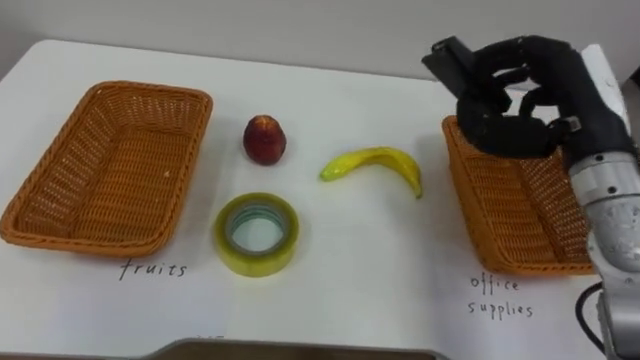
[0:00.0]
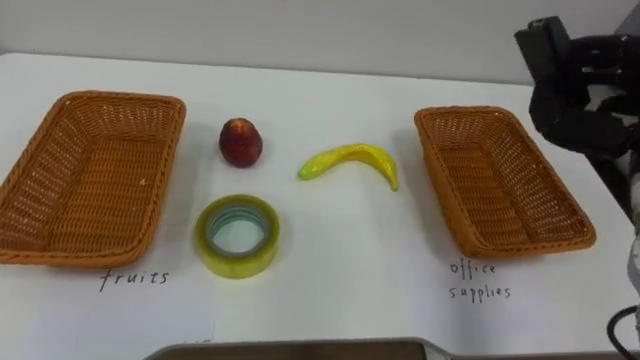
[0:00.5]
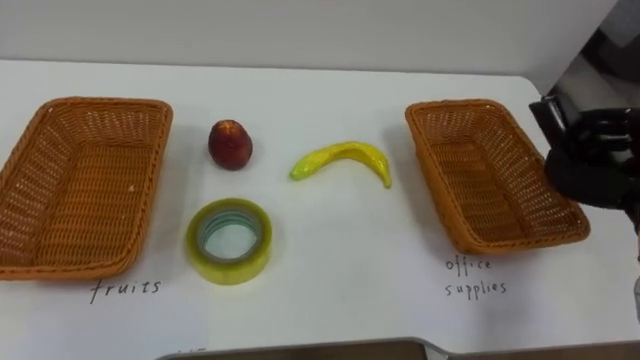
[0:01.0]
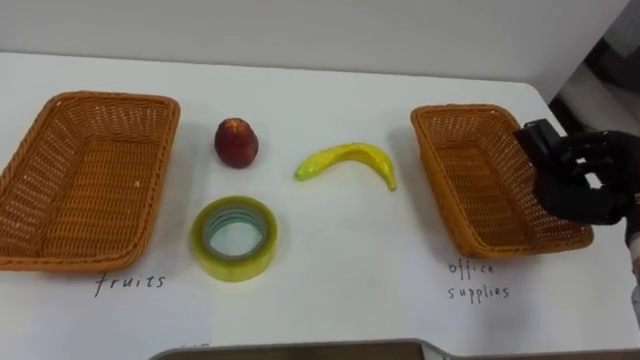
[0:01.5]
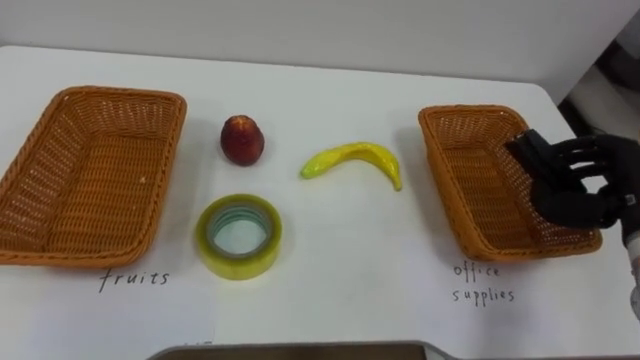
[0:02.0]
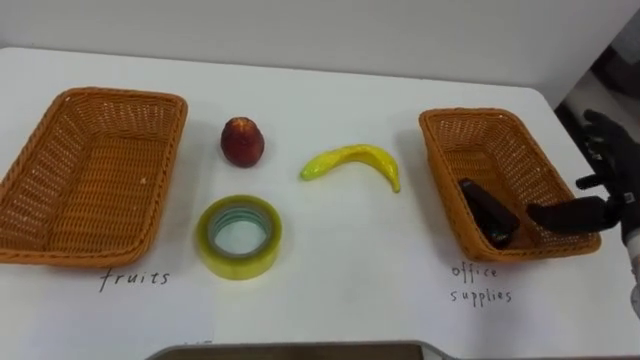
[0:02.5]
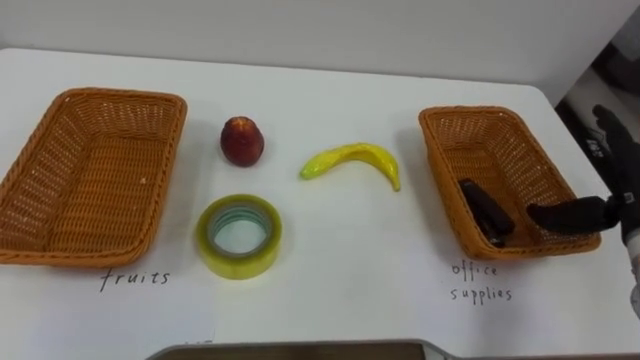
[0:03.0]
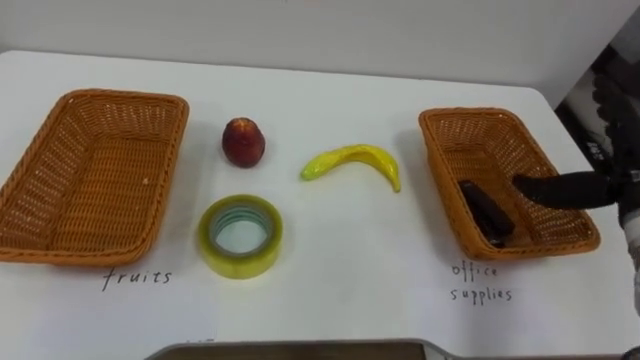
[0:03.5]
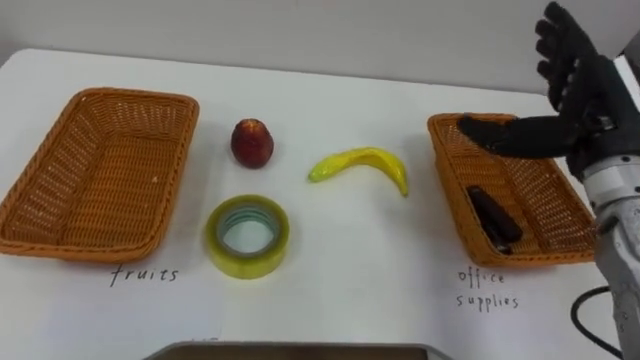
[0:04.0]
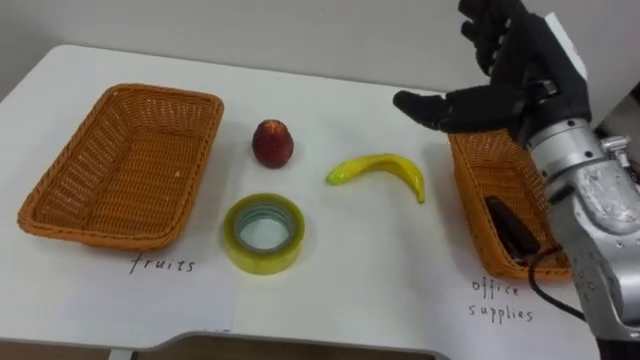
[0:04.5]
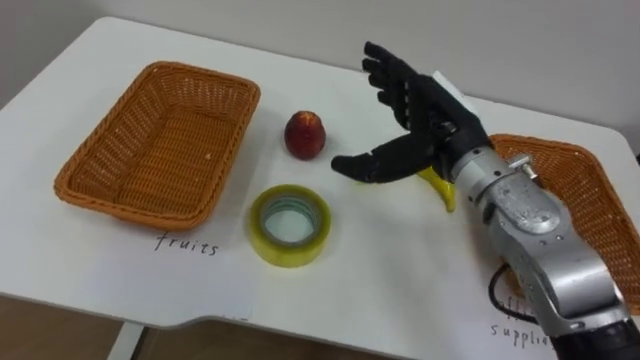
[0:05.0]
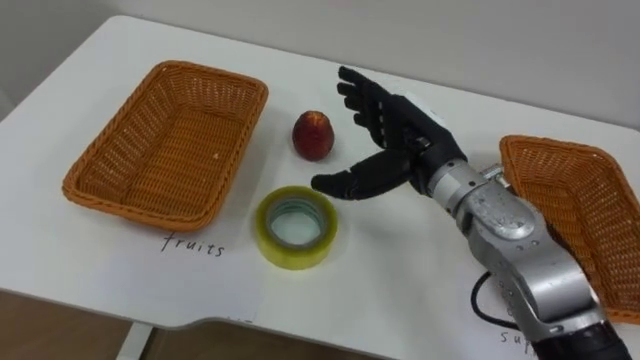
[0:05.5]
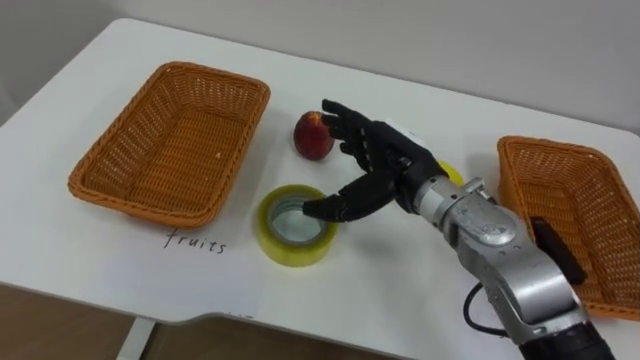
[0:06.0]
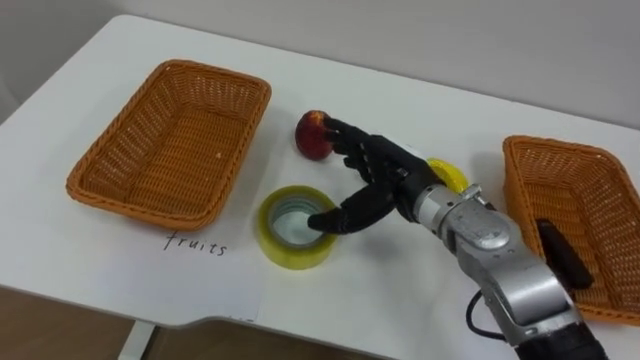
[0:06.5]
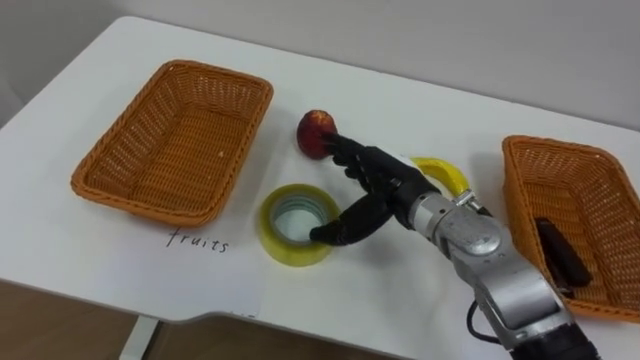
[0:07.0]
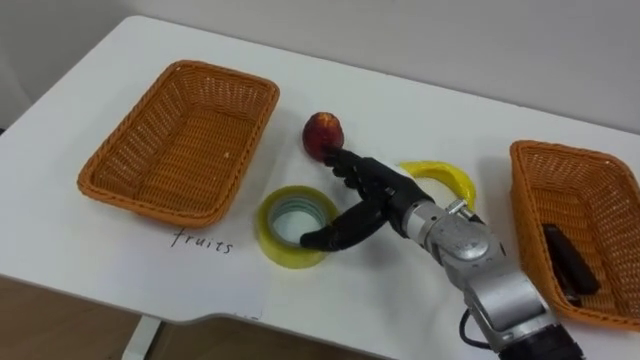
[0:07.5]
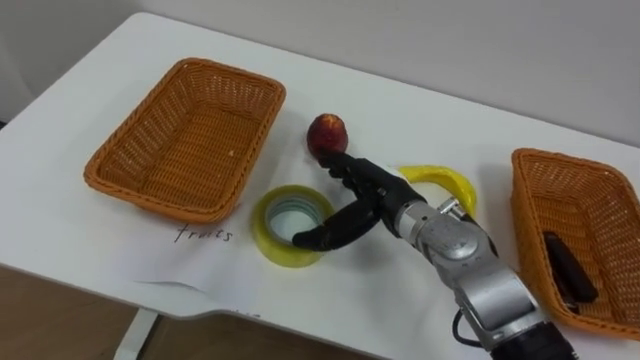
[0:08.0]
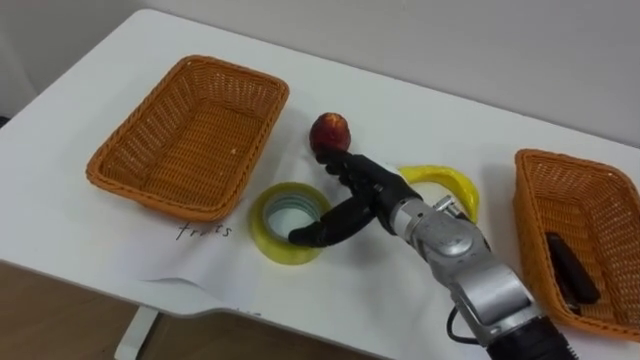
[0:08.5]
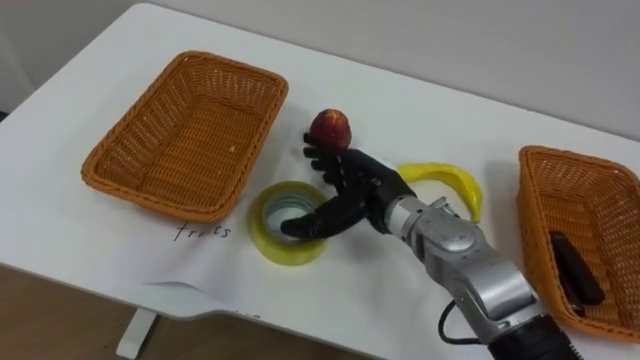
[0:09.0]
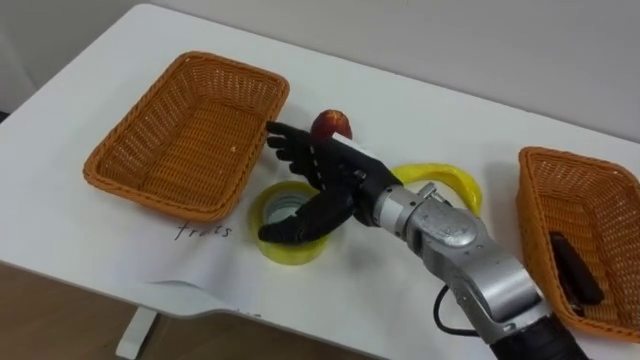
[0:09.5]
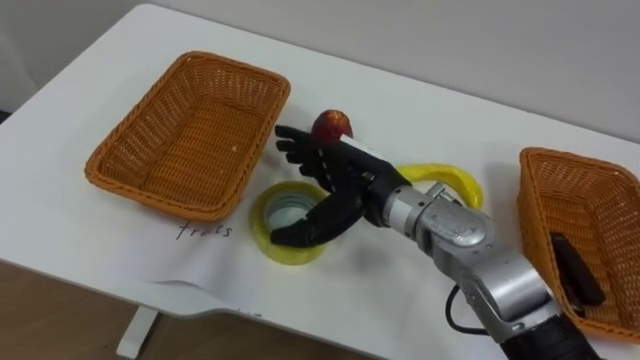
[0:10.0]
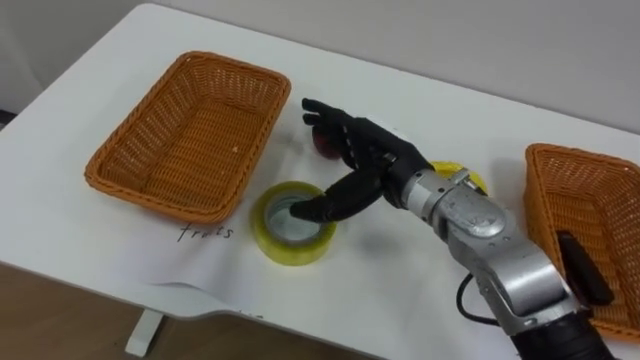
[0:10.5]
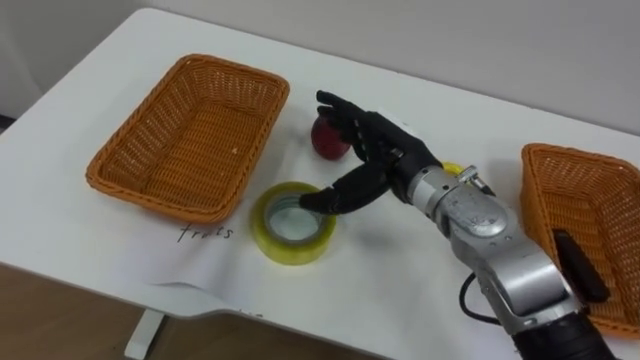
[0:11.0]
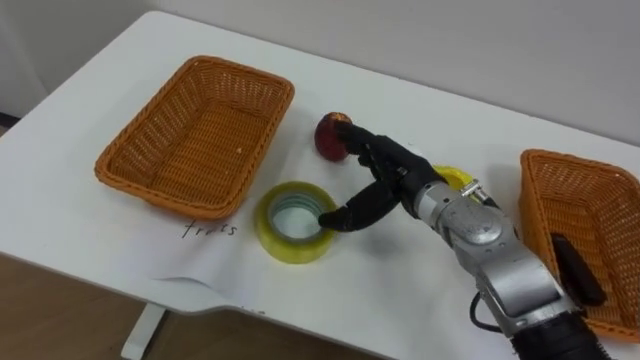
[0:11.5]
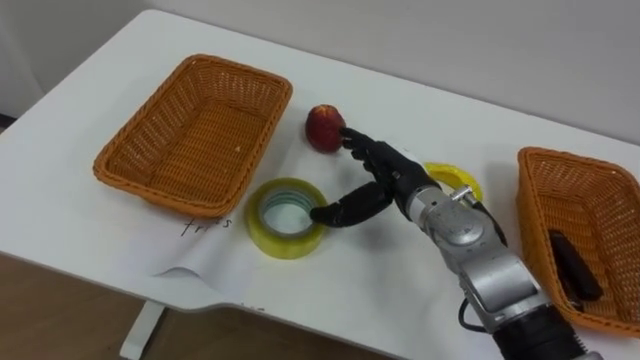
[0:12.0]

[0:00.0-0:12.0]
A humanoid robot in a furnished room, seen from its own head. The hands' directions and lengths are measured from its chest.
Task of the whole recording: Separate the items on the table and place them into the two baskets.
2.0 to 4.0 s: The right hand travels upward and to the left by roughly 10 cm, and opens its fingers.
4.0 to 6.0 s: The right hand heads to the left, covering roughly 20 cm.
6.0 to 8.0 s: The right hand shifts approximately 5 cm downward.
8.0 to 10.0 s: The right hand ends up approximately 5 cm from where it was.
10.0 to 12.0 s: The right hand is displaced to the right by about 5 cm.

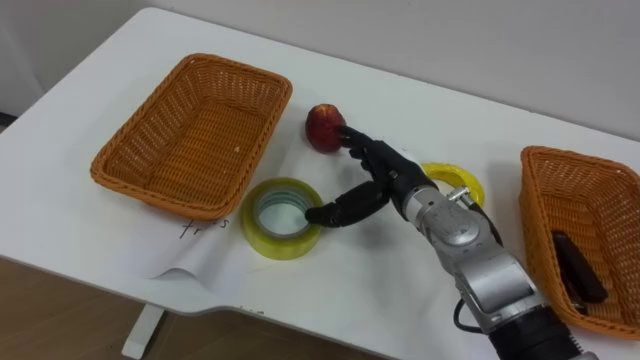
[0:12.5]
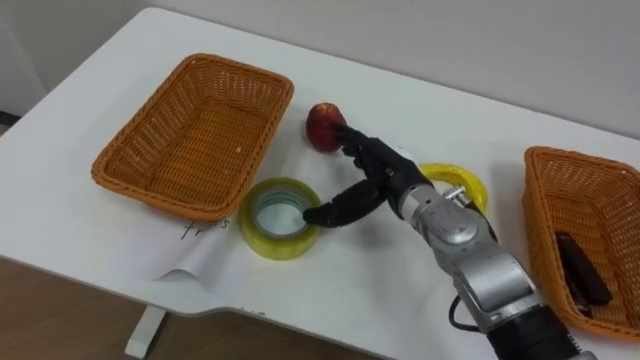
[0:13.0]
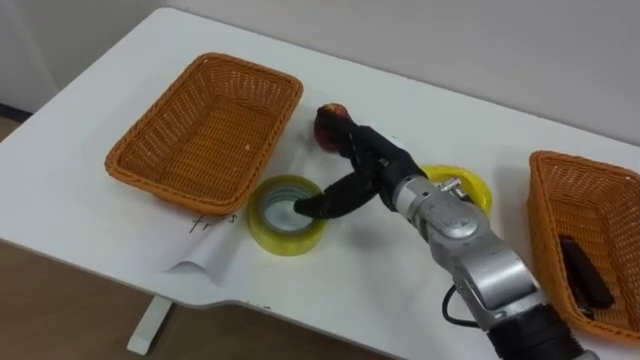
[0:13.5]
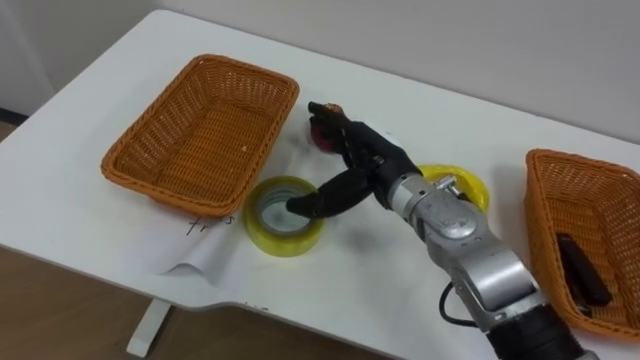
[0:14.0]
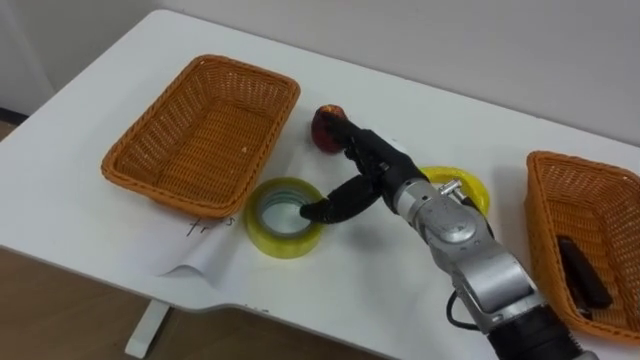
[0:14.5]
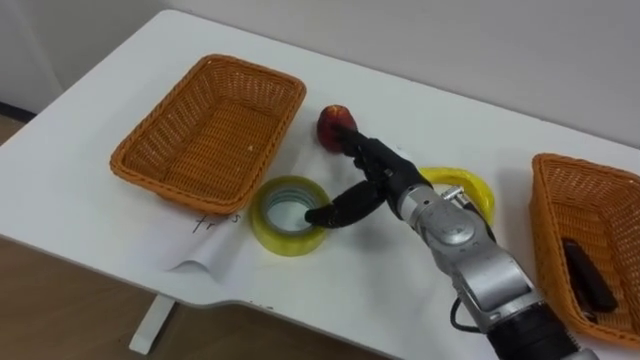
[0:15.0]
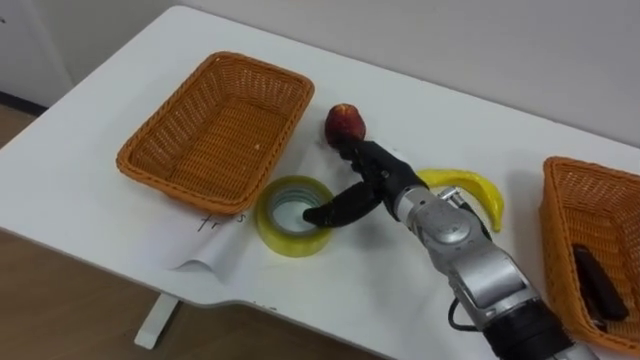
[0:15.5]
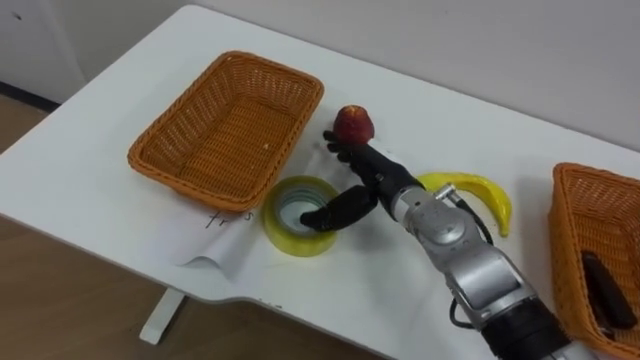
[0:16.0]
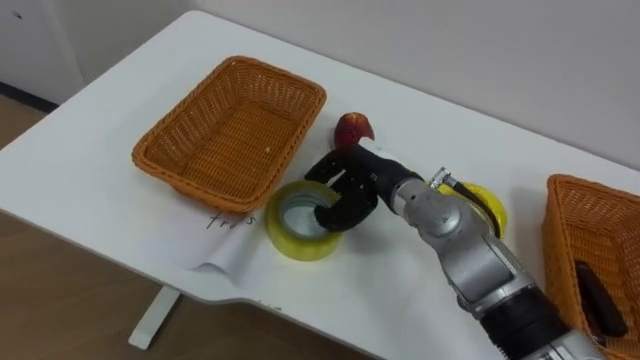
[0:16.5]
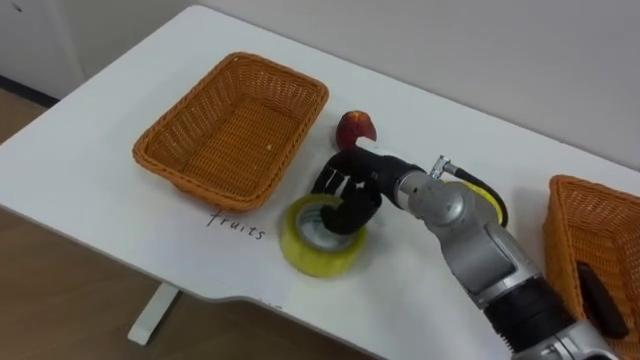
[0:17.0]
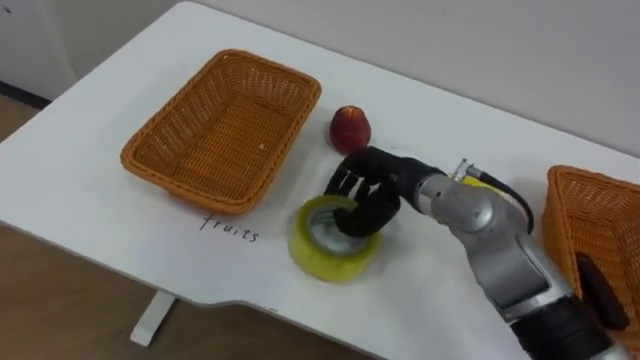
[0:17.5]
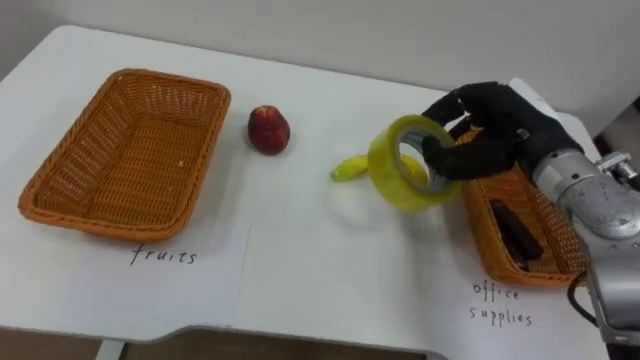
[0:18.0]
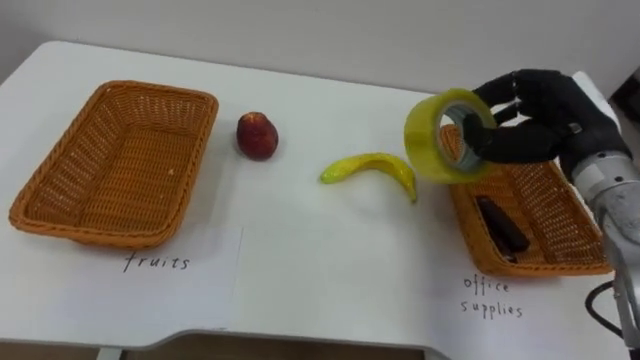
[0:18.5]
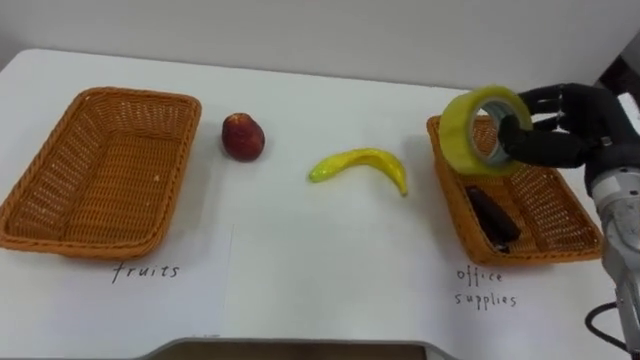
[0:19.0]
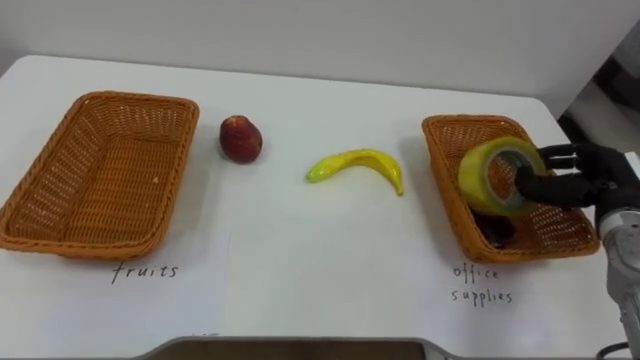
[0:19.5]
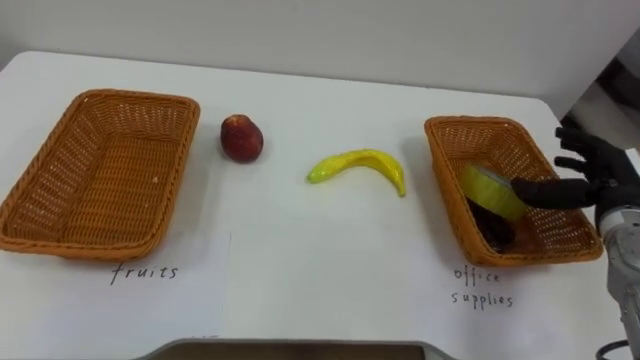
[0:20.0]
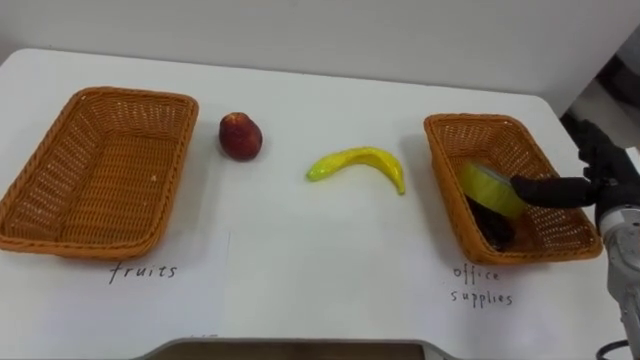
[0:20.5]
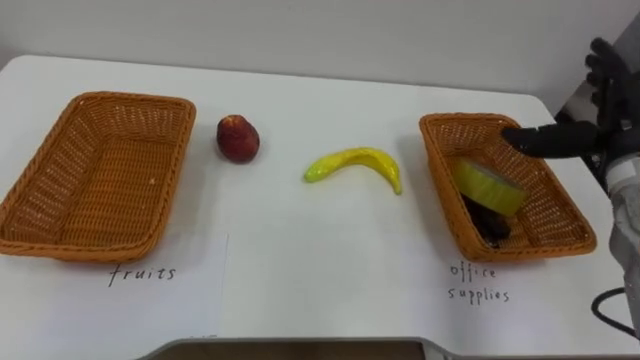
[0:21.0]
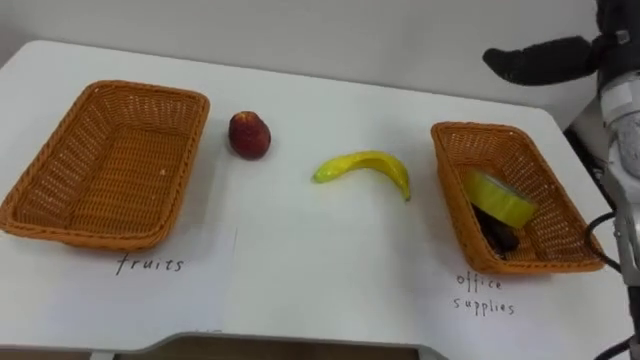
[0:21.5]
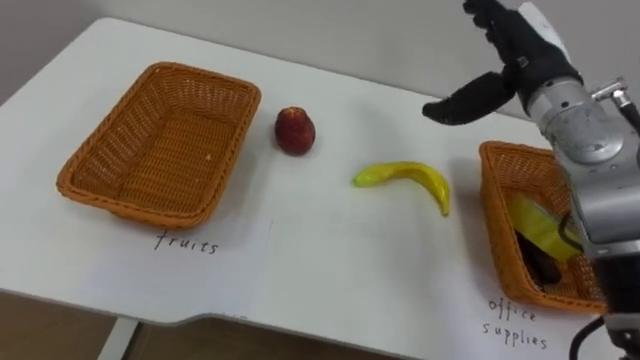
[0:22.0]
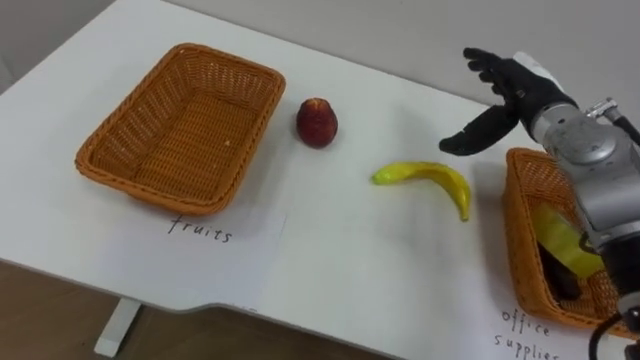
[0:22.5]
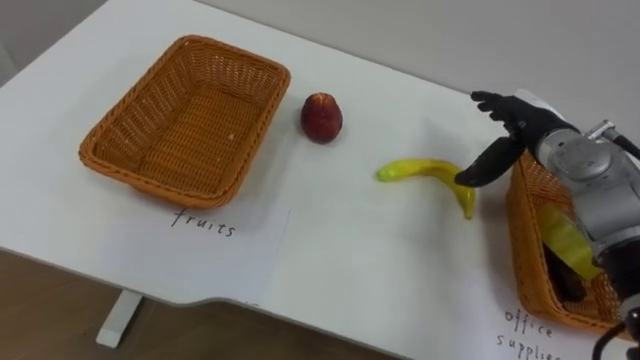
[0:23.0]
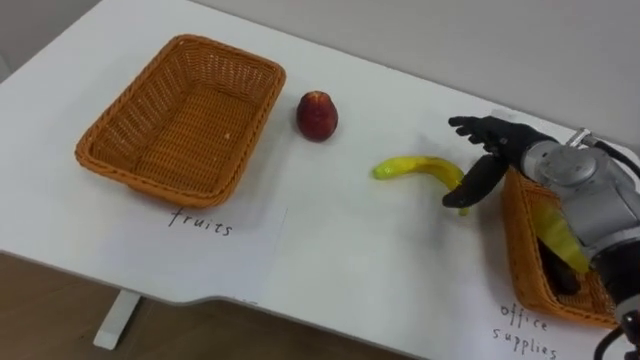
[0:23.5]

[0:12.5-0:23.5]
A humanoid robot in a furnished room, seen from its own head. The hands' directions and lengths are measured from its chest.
Task of the whole recording: Separate the items on the table and place them into the two baskets.
16.0 to 18.0 s: The right hand goes some 15 cm to the right and upward, and closes its fingers.
18.0 to 20.0 s: The right hand moves to the right and downward, approximately 15 cm, and opens.
20.0 to 21.5 s: The right hand travels upward by about 20 cm.
21.5 to 23.5 s: The right hand shifts approximately 15 cm downward.
